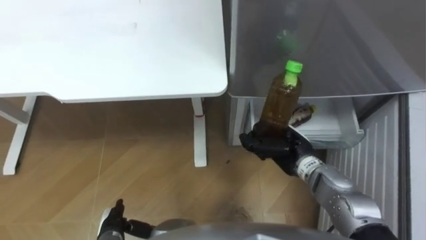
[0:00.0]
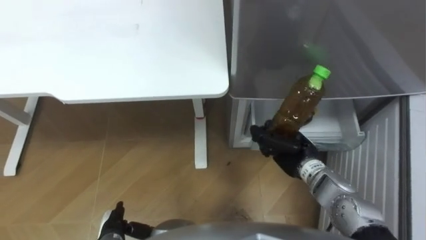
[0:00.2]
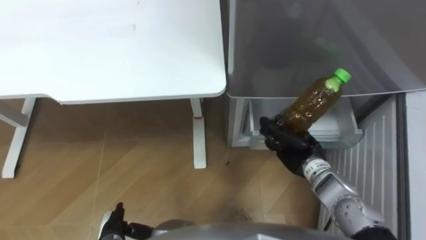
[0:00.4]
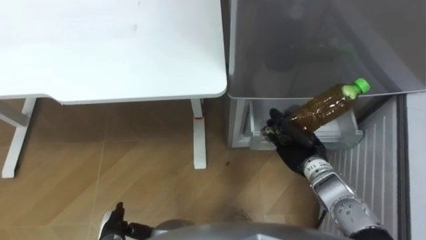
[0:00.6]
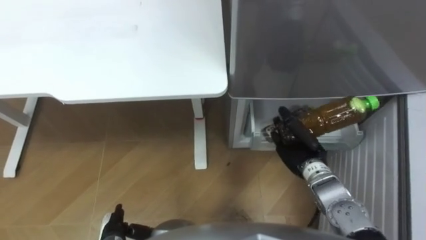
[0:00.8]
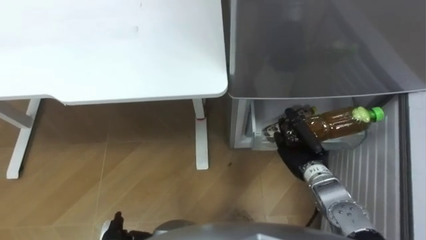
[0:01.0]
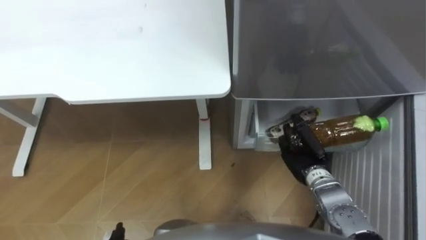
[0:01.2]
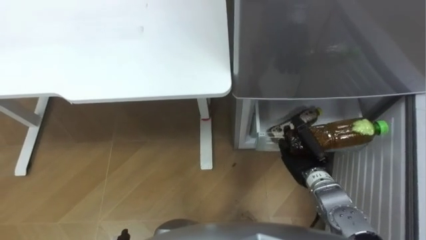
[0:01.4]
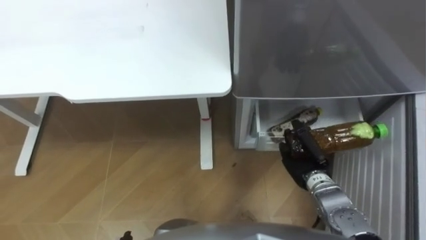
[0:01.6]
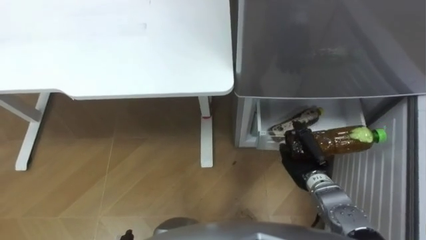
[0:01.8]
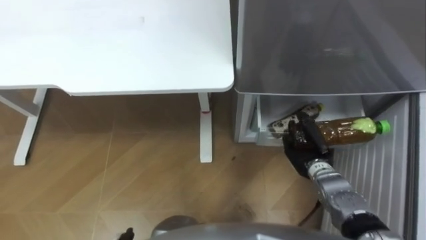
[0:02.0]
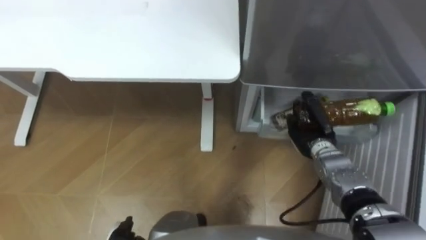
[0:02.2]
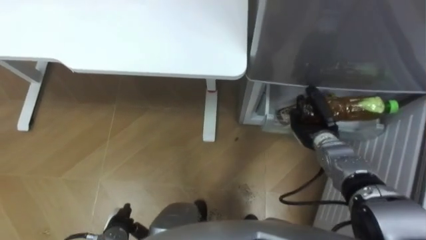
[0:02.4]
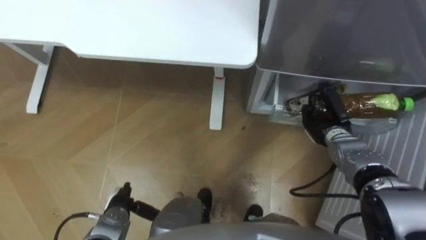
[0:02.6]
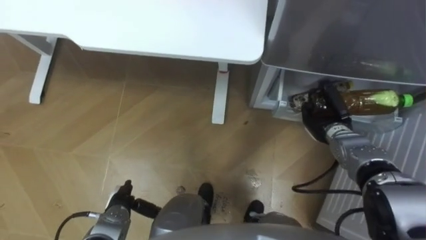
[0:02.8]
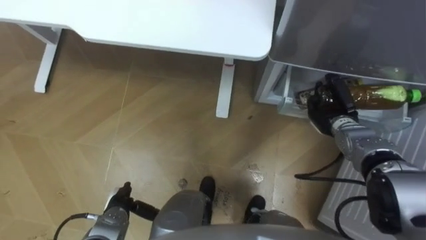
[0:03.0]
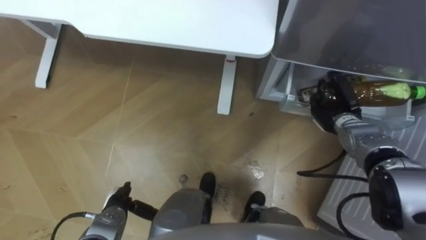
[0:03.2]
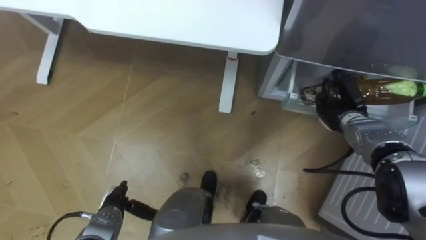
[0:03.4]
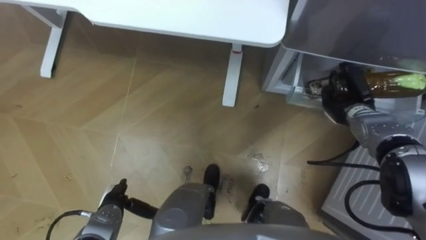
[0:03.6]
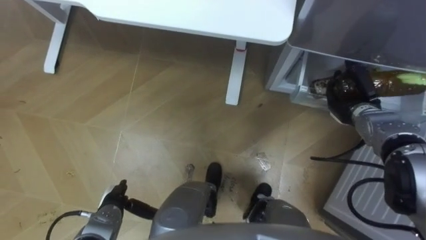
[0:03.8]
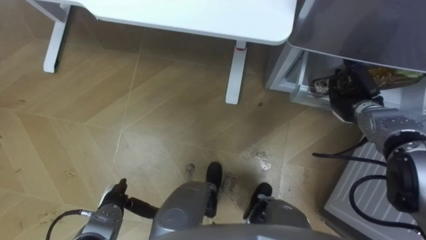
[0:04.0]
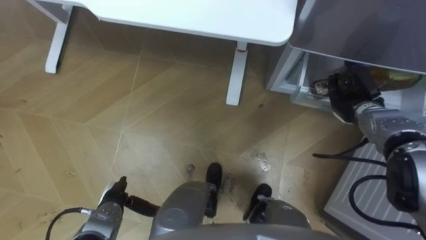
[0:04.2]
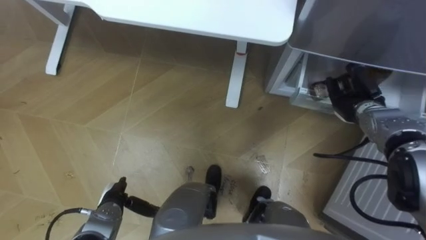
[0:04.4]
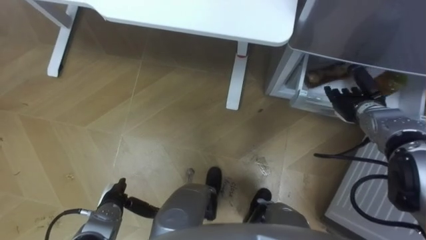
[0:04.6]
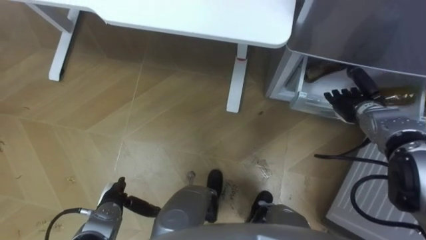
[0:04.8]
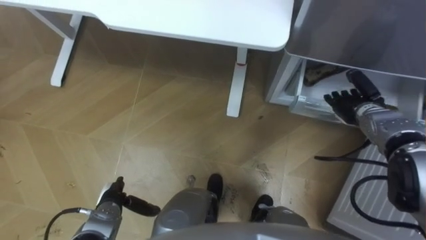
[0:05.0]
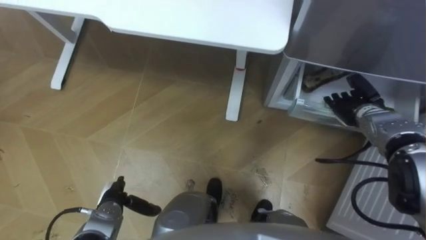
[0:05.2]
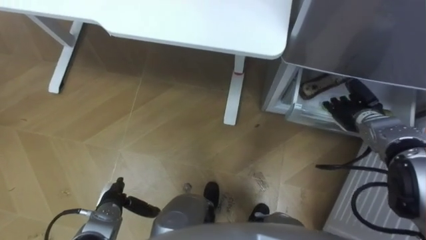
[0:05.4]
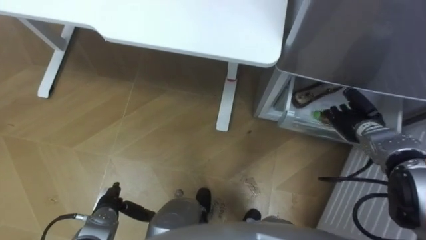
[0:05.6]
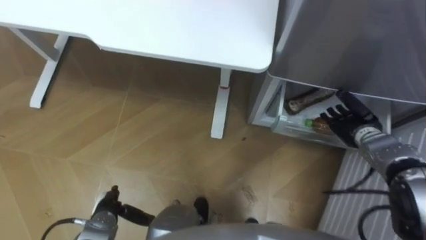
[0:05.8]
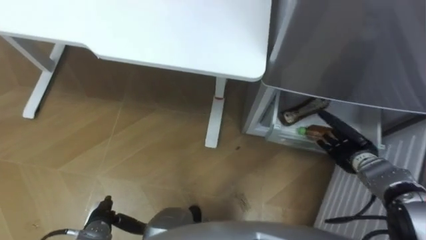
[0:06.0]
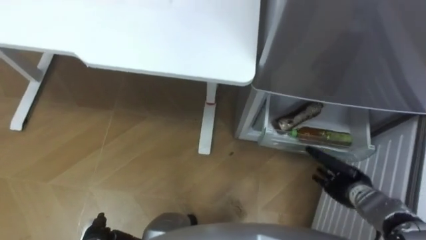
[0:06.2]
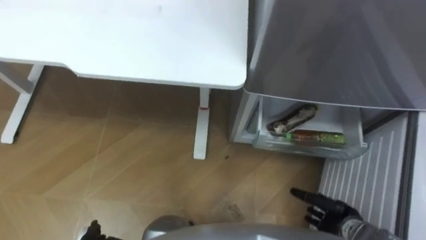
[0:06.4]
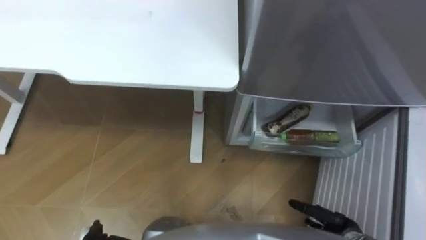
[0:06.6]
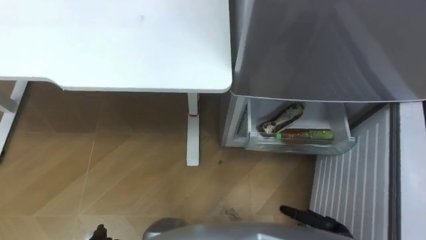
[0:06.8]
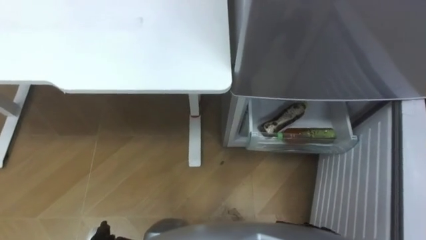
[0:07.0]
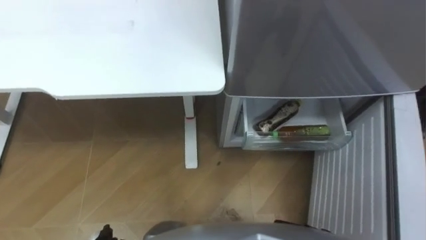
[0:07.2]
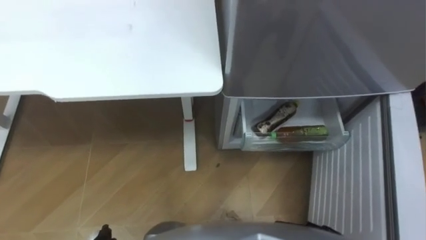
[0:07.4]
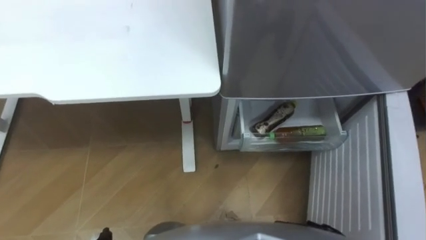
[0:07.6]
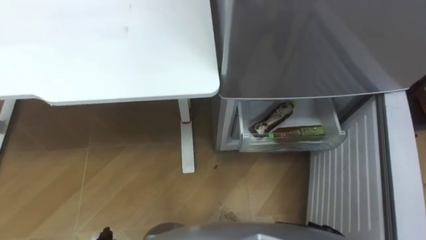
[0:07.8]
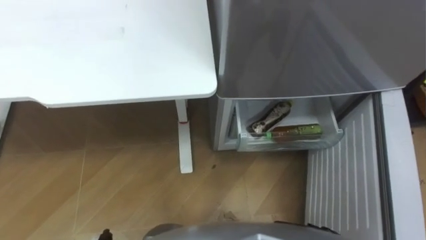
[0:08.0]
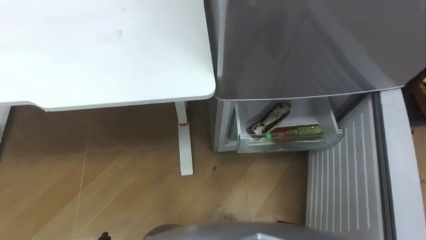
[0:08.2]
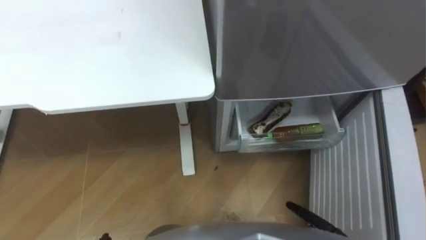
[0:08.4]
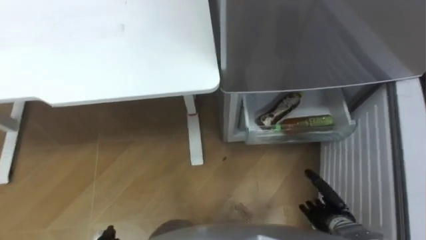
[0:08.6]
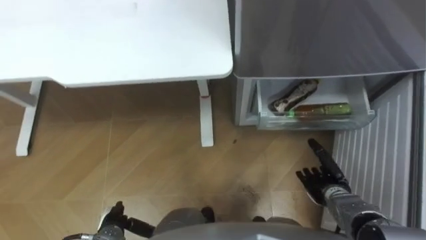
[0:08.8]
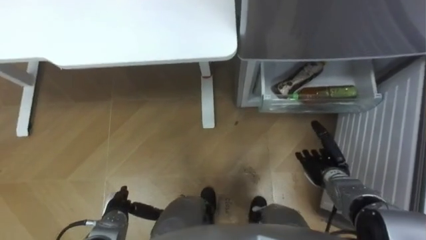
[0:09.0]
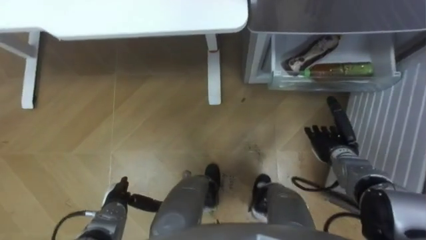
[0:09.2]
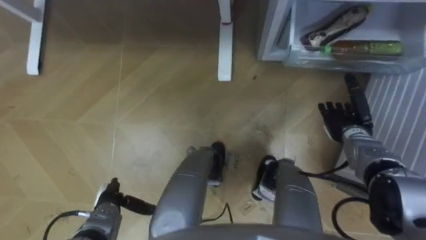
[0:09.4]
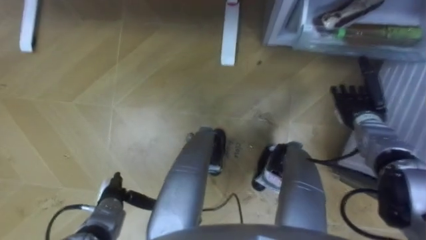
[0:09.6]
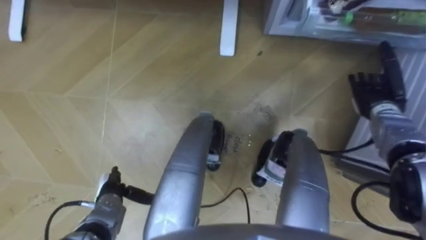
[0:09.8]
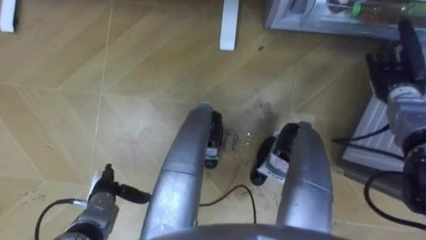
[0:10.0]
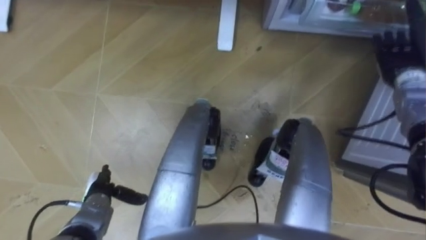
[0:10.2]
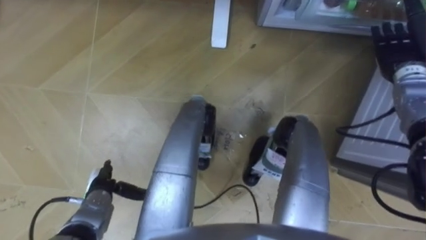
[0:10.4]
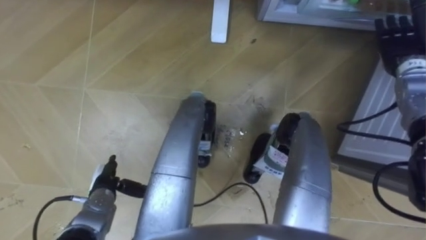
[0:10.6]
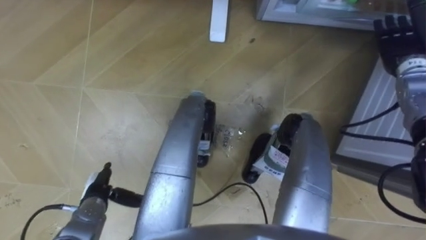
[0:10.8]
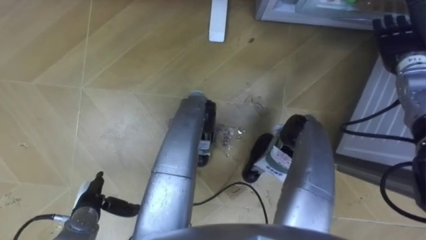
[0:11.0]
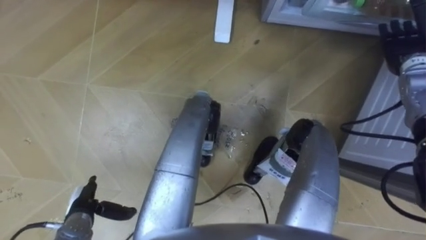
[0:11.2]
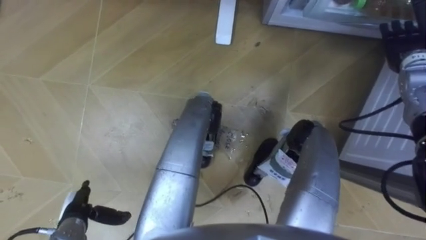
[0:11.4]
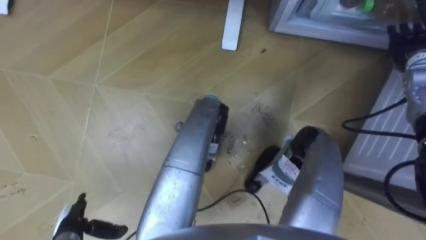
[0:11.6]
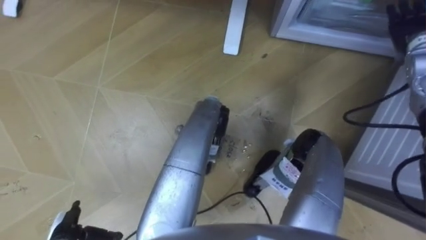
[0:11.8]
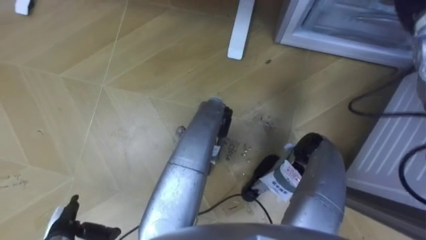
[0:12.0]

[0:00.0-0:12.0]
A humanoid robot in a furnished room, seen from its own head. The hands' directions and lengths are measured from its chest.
Task of the whole recording: Place the drink on the table on the bottom shelf of the refrigerator, then close the drawer and the refrigerator door.
0:00.0 to 0:01.6: The right hand shifts by approximately 5 cm.
0:01.6 to 0:03.0: The right hand moves forward and to the right, approximately 10 cm.
0:03.0 to 0:04.4: The right hand moves some 5 cm, and opens up.
0:04.4 to 0:06.0: The right hand goes roughly 5 cm backward.
0:09.0 to 0:10.4: The right hand goes some 30 cm upward, forward and to the right, while the left hand changes place by about 5 cm.
0:10.4 to 0:12.0: The right hand heads upward, covering roughly 5 cm; the left hand goes some 10 cm backward and to the left.

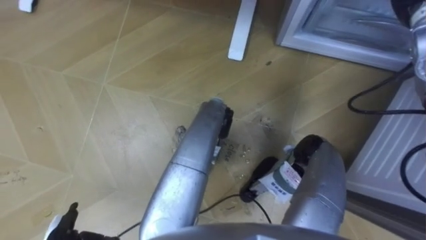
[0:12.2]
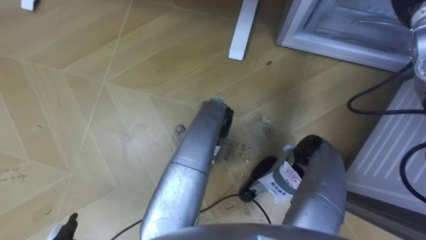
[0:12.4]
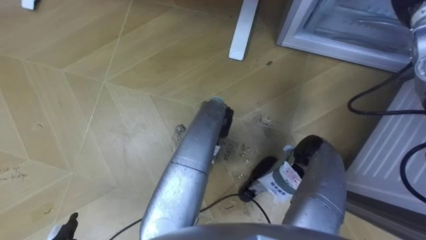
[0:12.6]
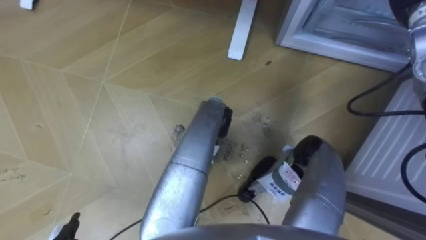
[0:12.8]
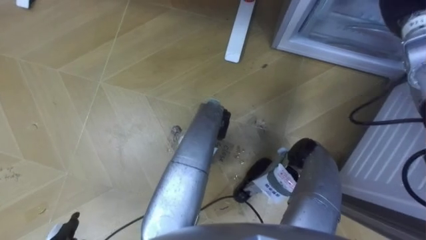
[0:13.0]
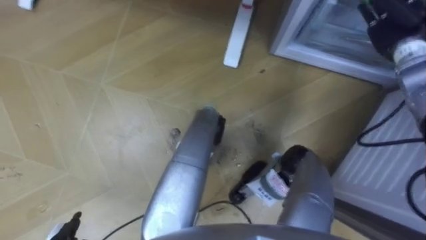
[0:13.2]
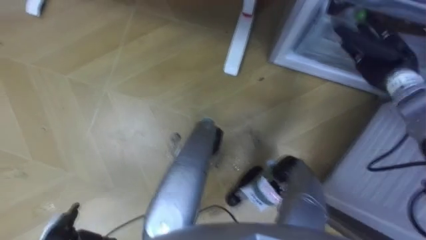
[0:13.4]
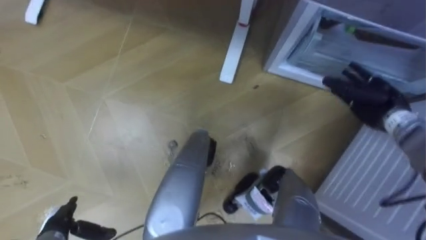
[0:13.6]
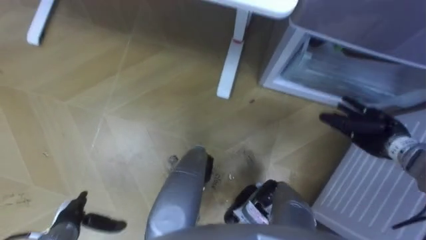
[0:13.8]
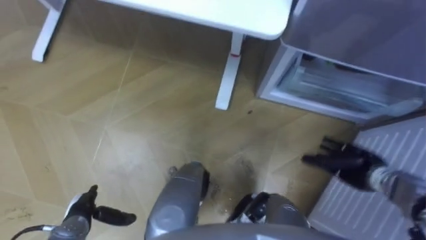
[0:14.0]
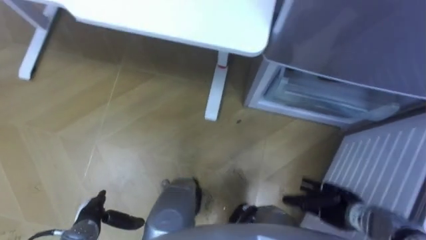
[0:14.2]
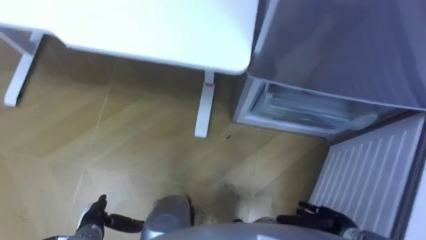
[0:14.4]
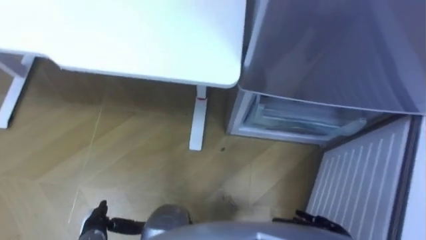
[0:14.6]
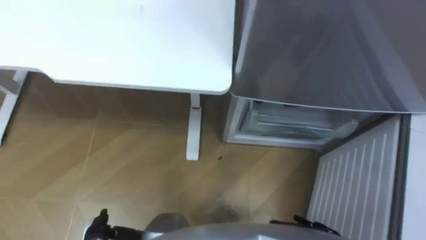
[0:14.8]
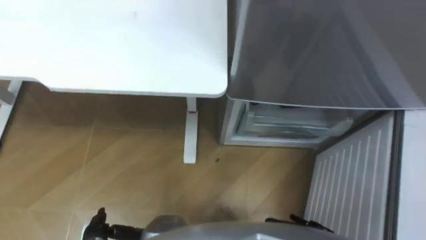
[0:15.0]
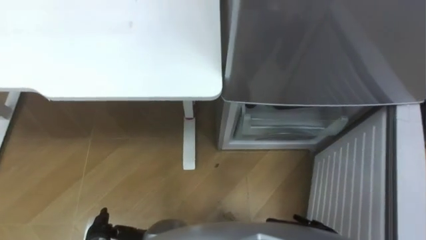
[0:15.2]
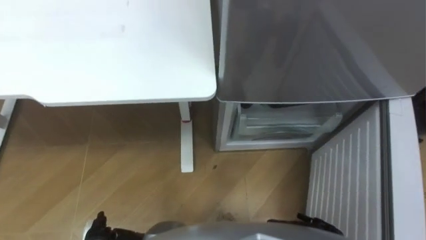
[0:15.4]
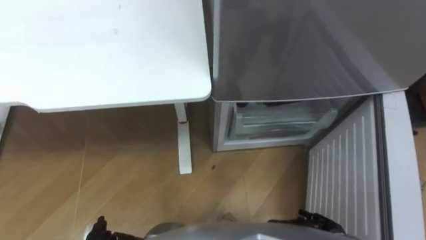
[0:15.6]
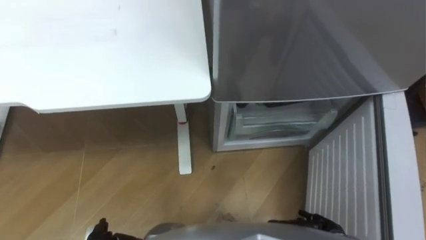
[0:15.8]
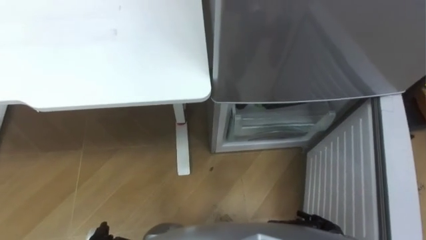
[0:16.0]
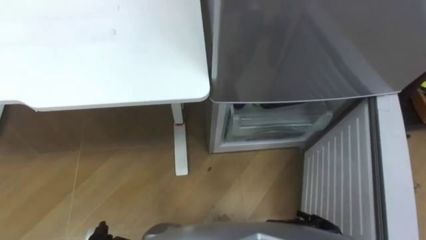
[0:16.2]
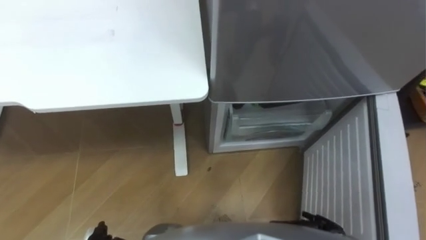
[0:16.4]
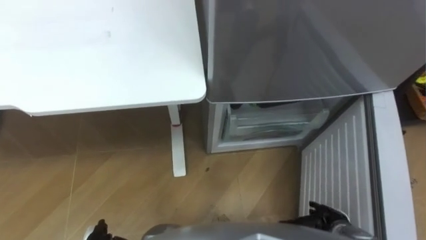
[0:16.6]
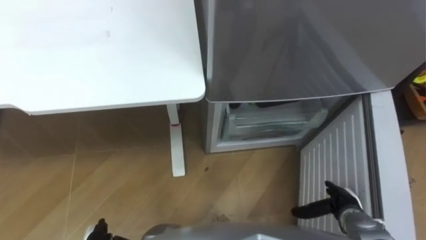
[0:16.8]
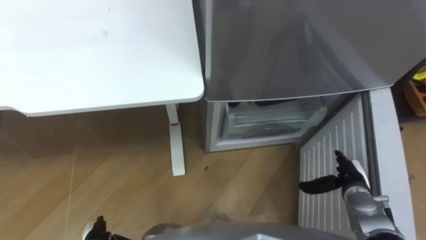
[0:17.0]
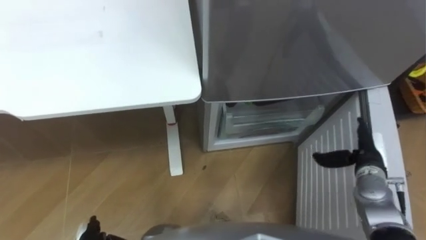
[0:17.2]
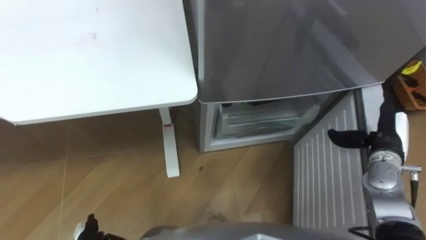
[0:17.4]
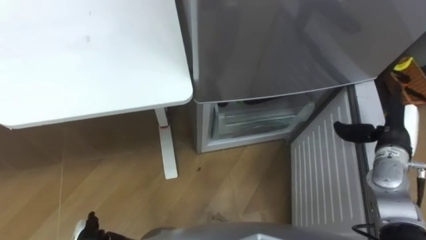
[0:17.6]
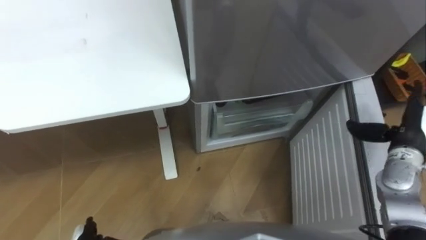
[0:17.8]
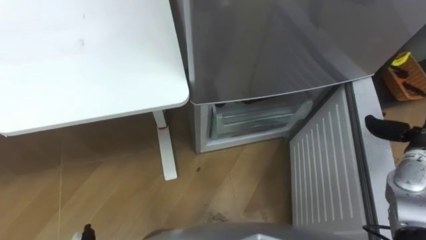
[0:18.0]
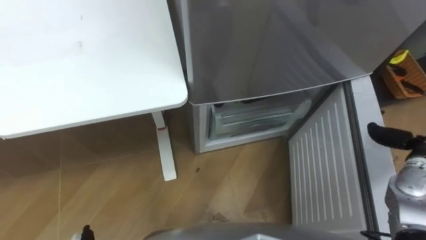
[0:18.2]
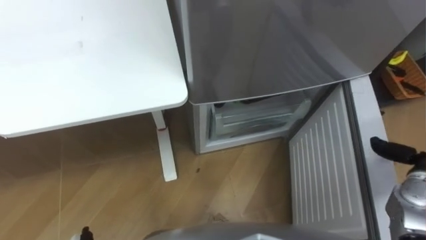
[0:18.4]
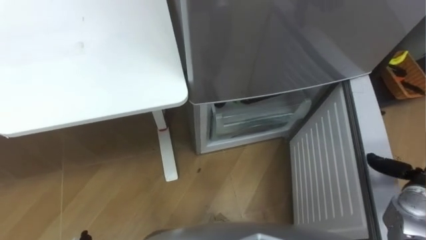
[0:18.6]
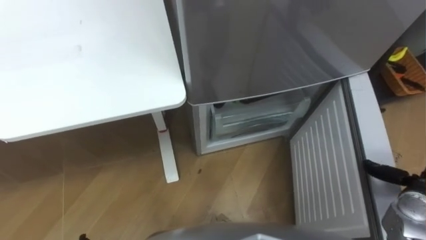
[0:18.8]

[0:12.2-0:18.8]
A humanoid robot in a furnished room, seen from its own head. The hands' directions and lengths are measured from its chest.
Task of the whole recording: Place the drink on the table on the bottom shelf of the refrigerator, then close the drawer and the refrigerator door.
0:13.8 to 0:15.4: The left hand travels to the right by some 5 cm.
0:17.2 to 0:18.8: The right hand heads to the right and backward, covering about 10 cm, and reaches about 10 cm upward, then returns.
